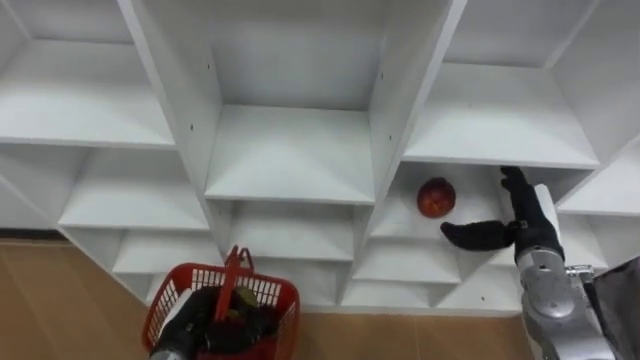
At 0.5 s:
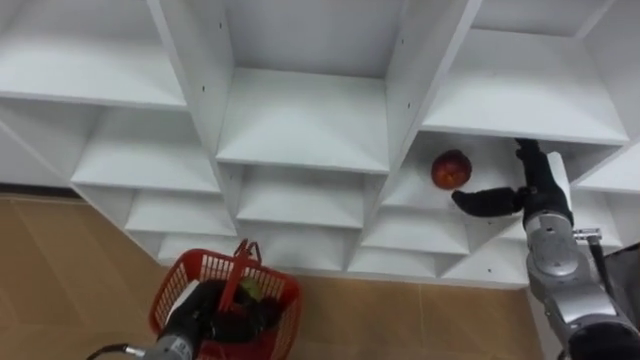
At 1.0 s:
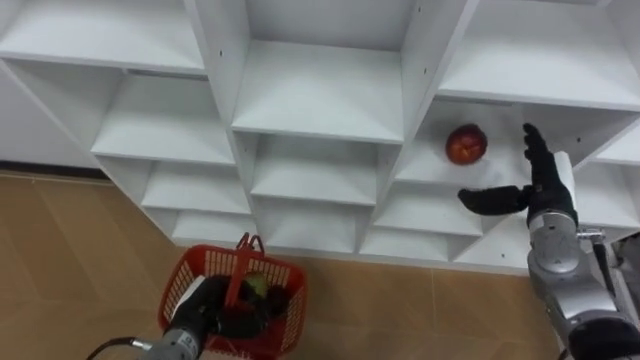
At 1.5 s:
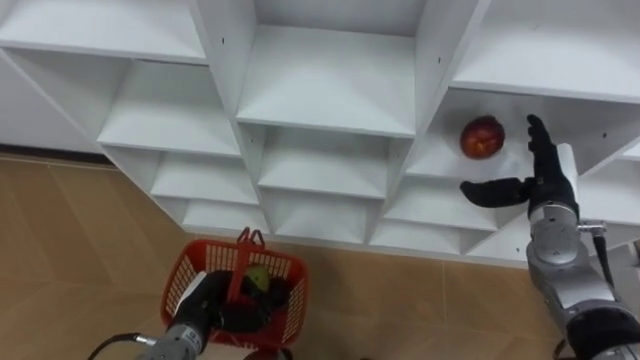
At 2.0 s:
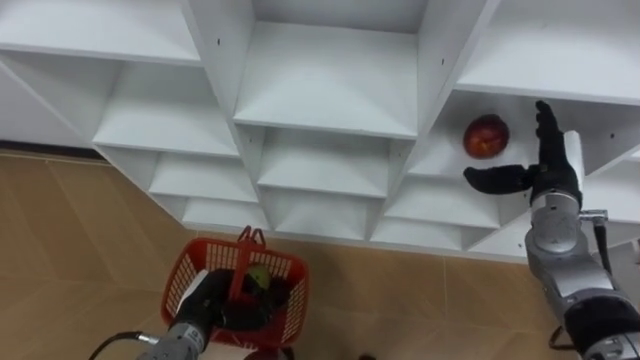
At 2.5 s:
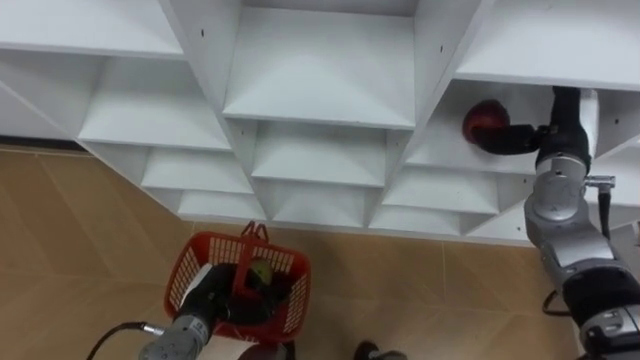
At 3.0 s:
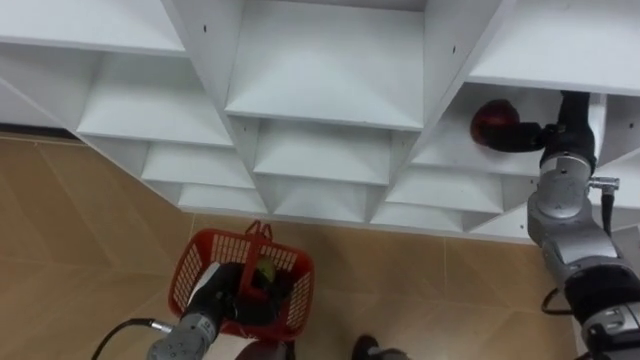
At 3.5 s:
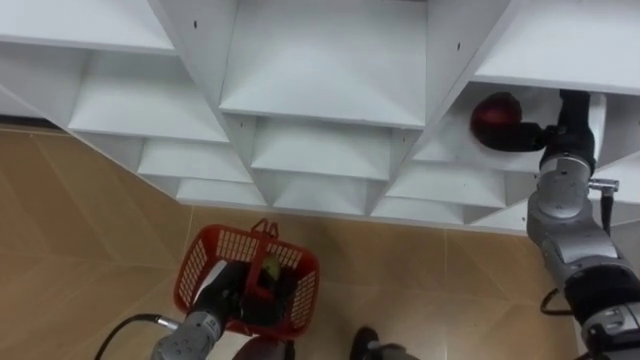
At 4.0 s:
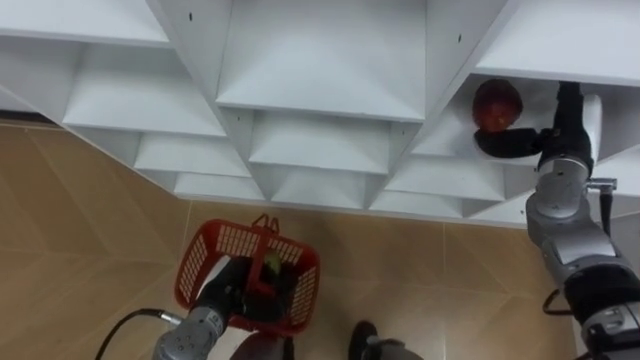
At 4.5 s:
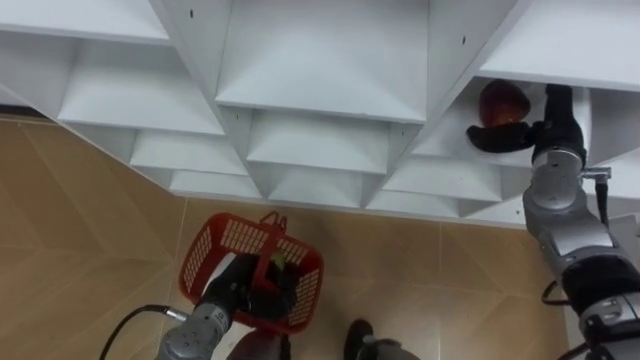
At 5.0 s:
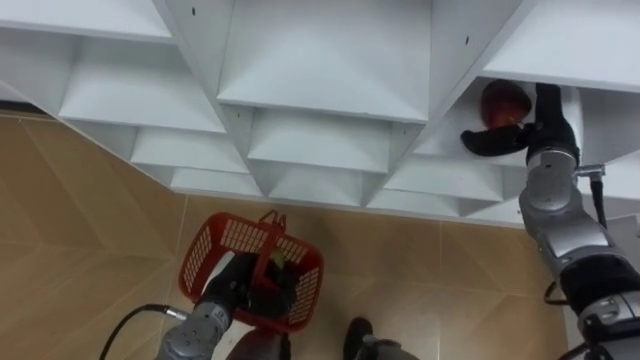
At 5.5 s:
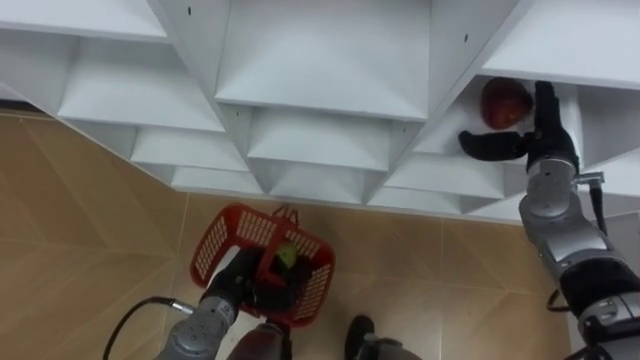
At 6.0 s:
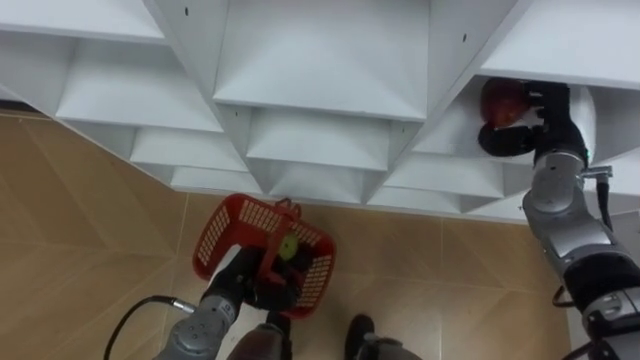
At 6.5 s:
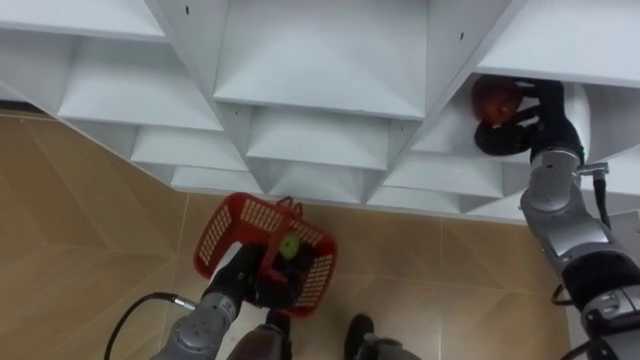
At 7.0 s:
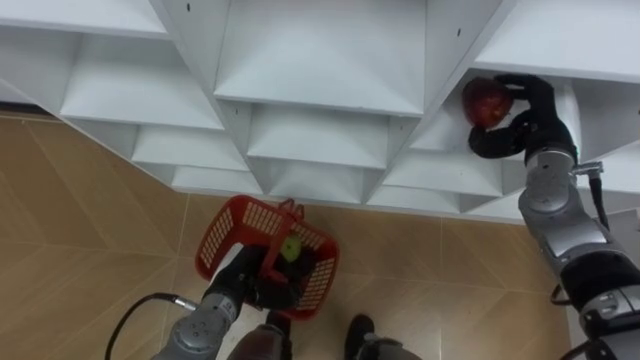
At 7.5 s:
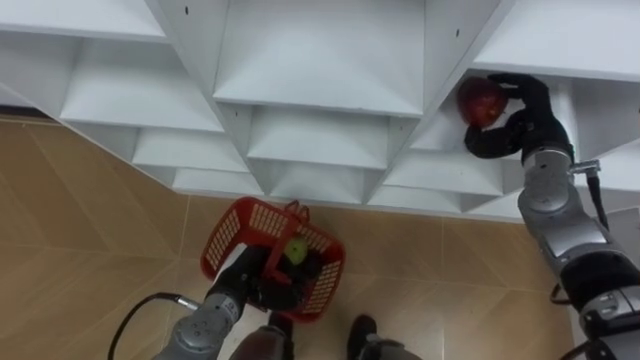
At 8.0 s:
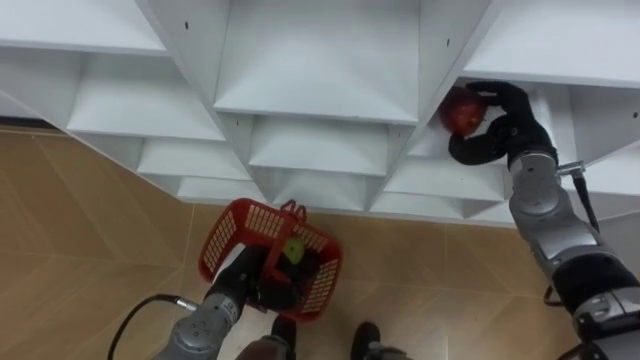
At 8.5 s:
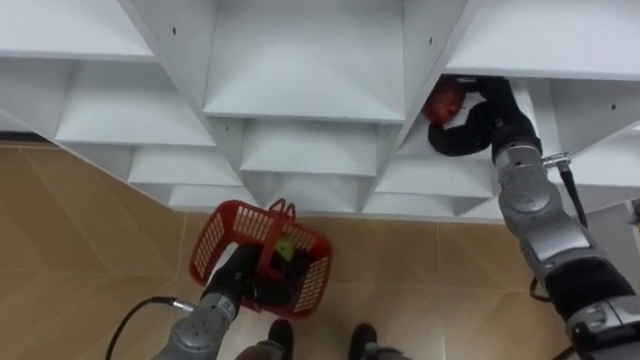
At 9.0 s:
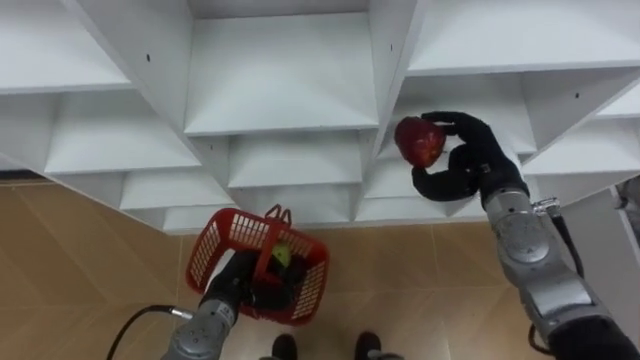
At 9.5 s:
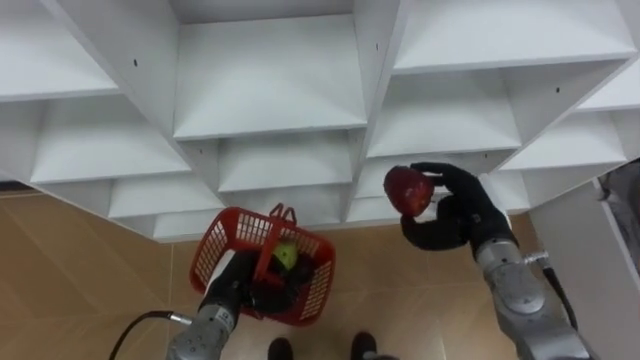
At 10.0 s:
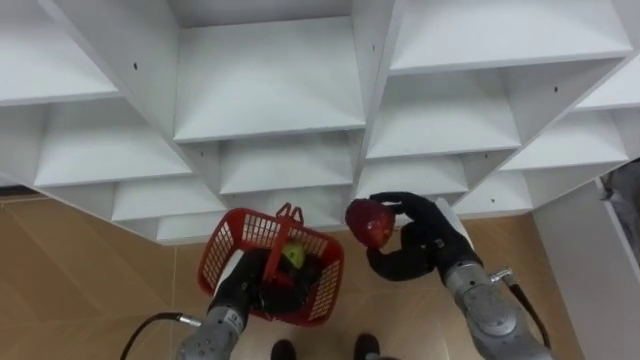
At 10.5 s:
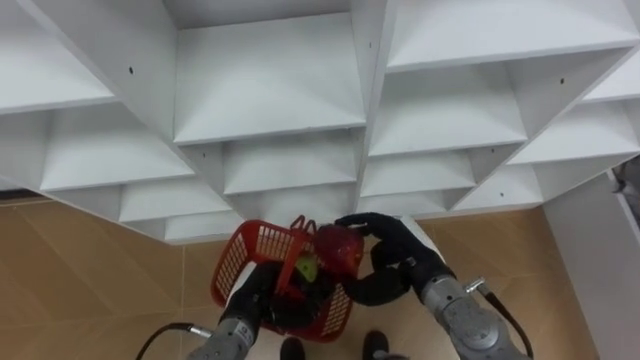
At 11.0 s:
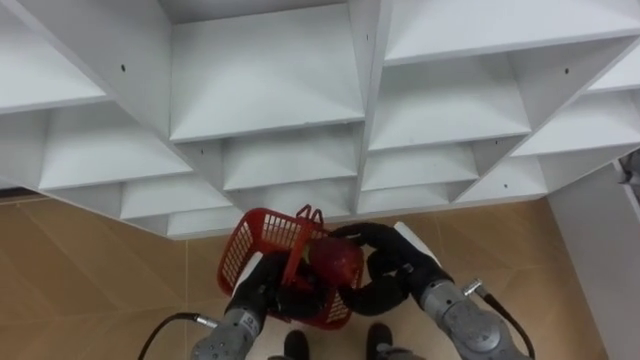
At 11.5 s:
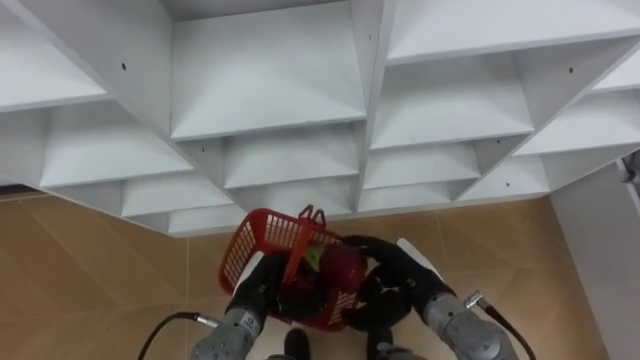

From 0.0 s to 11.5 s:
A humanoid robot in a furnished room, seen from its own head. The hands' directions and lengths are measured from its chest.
Task of the whole recording: Hold the basket and collect the fruits from 3 different cells of the closet into it.
From 0.0 s to 2.0 s: The right hand is displaced forward by approximately 5 cm.
From 2.0 s to 4.0 s: The right hand moves some 5 cm.
From 6.0 s to 7.5 s: The right hand closes.
From 7.5 s to 9.5 s: The right hand moves backward, downward and to the left, roughly 15 cm.
From 9.5 s to 11.5 s: The right hand travels to the left, backward and downward by some 15 cm.

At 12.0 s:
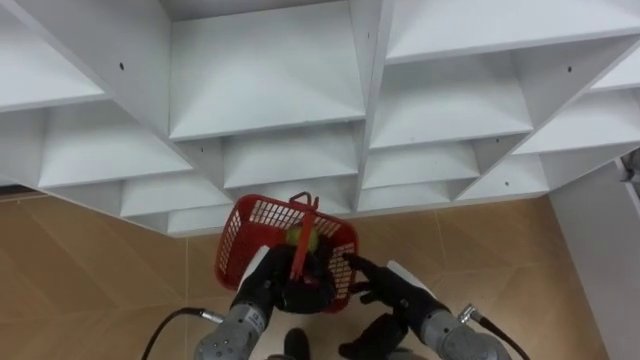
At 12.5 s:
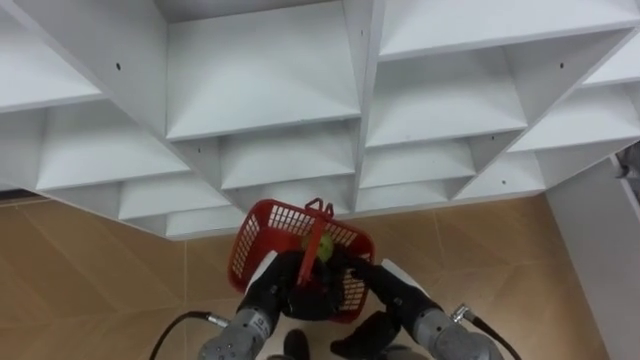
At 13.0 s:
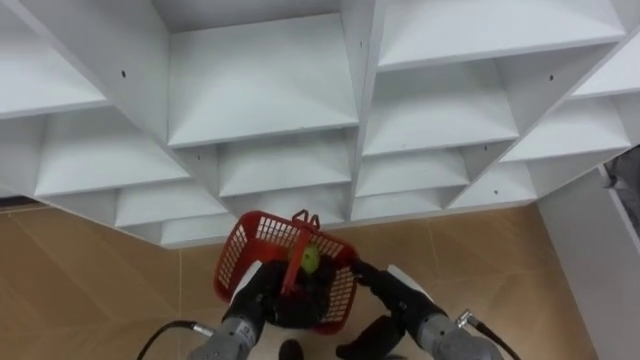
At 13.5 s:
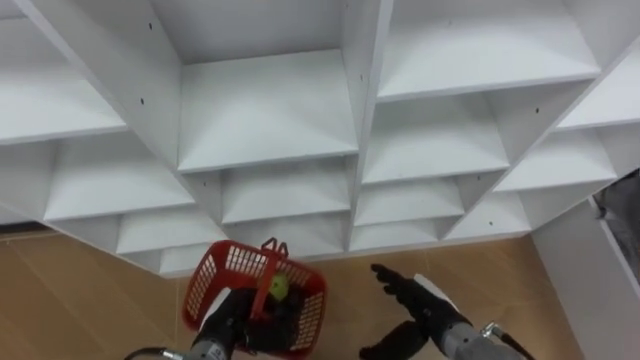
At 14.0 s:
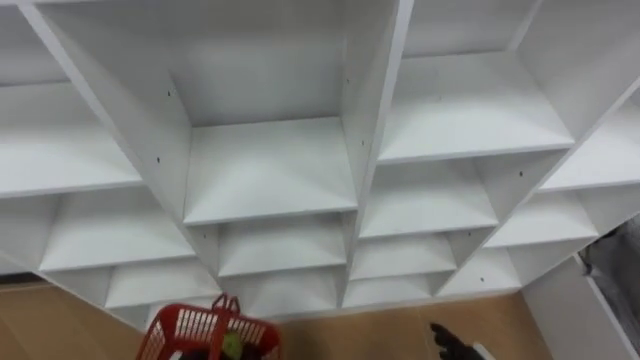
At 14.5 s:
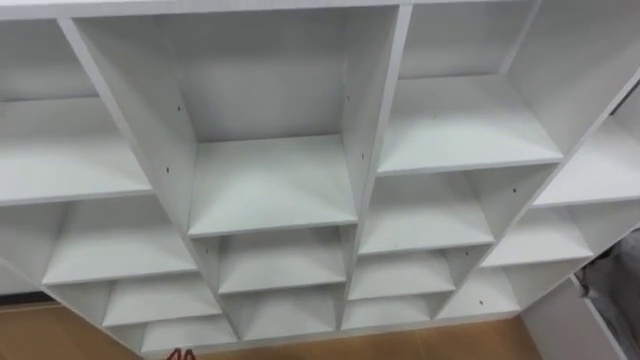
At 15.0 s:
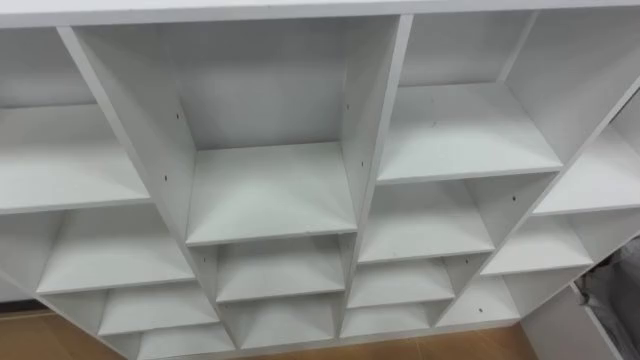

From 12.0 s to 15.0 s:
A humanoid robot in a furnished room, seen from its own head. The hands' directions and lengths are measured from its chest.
Task of the whole recording: Hold the basket and collect the fruits from 3 different cells of the closet into it.
From 12.0 s to 13.5 s: The left hand travels to the left by approximately 5 cm.

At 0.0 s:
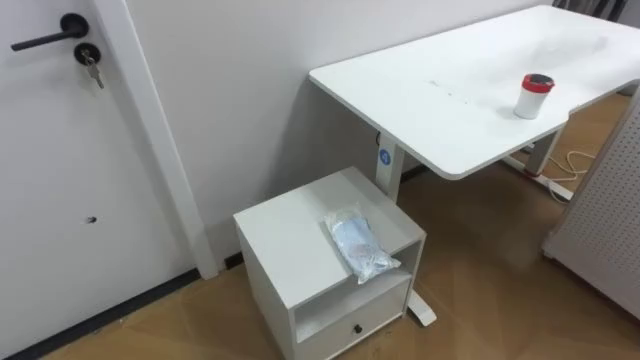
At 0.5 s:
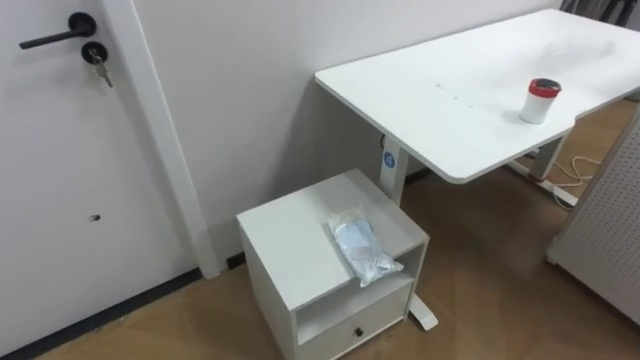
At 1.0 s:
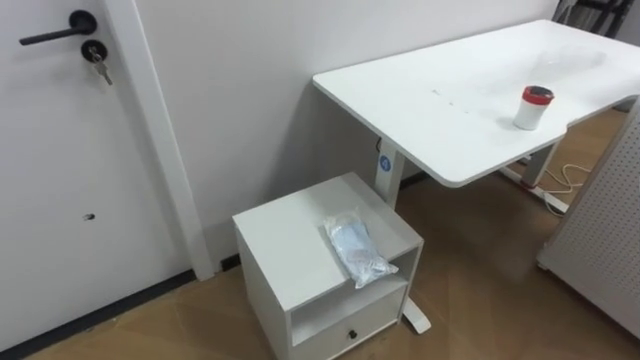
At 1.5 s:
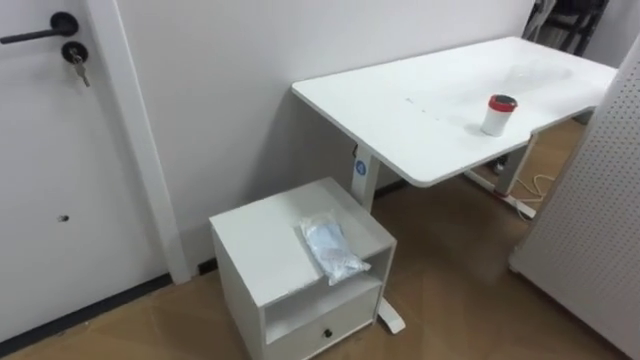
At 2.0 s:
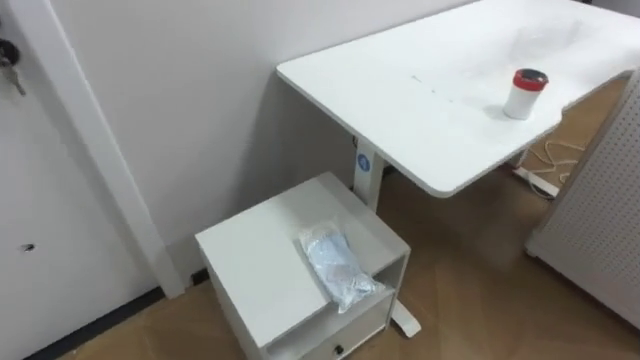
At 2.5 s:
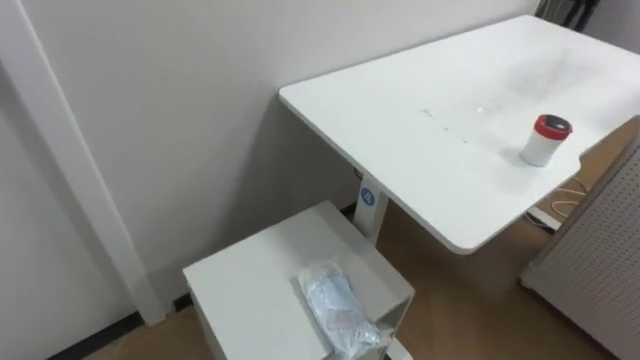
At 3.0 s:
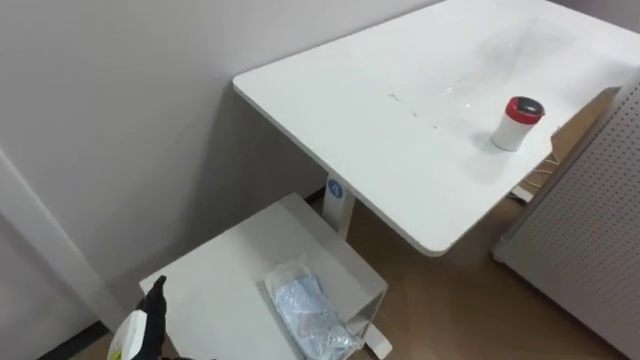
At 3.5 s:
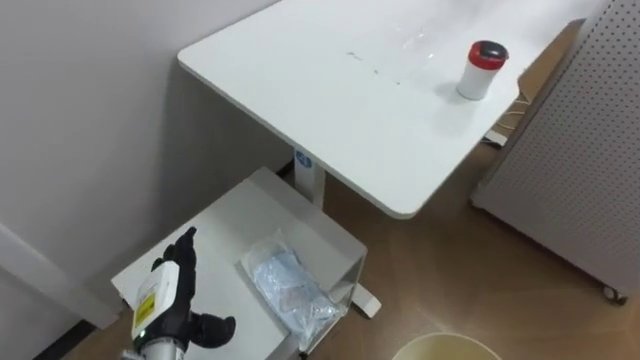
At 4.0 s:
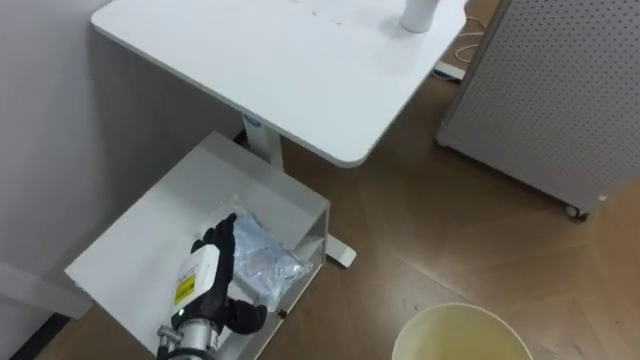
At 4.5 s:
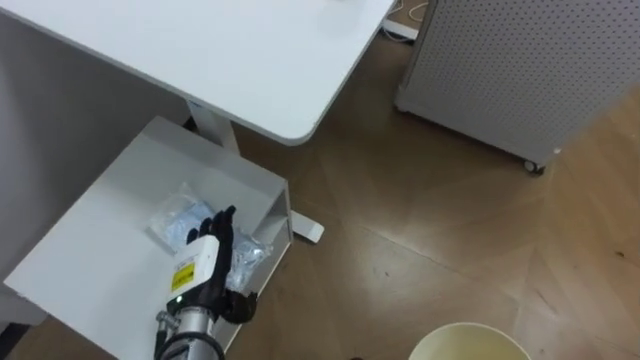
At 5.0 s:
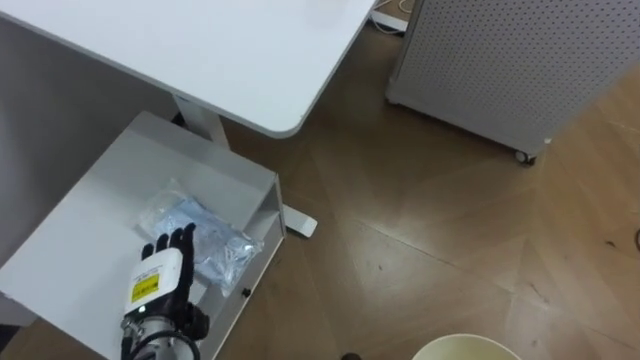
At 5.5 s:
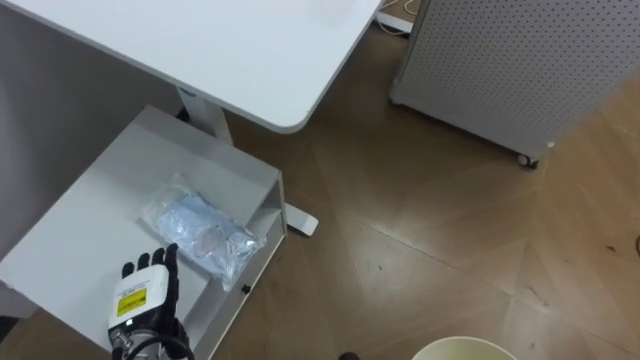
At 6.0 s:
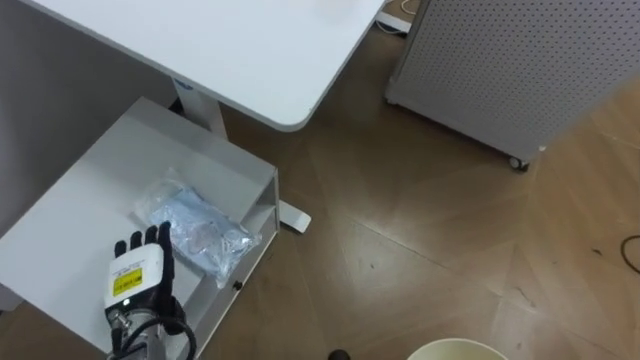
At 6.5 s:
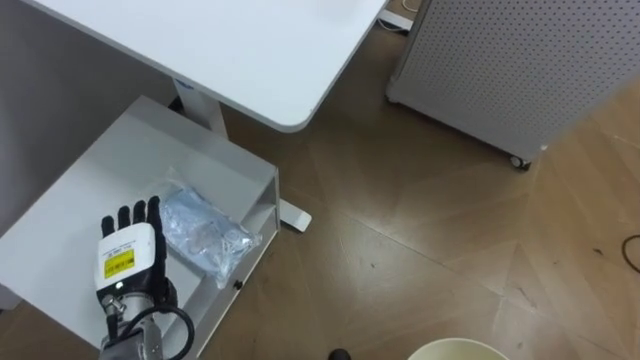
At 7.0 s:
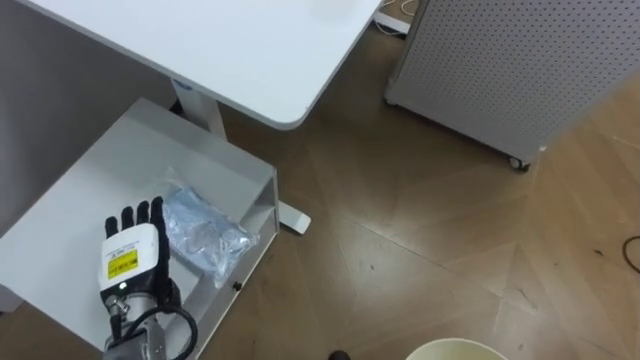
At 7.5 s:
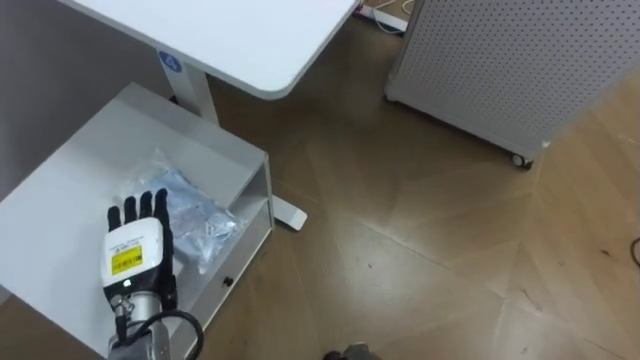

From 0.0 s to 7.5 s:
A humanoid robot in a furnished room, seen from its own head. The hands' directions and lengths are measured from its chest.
Task of the whole recording: Pick up the light blue package, the candy box, and the dark blue package separately, and put them into the trash can held in your right hand.
From 4.0 s to 5.5 s: The left hand shifts some 10 cm to the left.
From 5.5 s to 7.5 s: The left hand goes approximately 5 cm upward.
